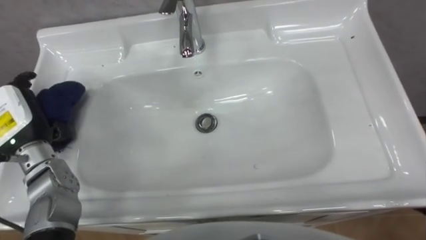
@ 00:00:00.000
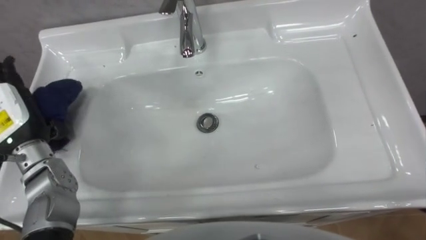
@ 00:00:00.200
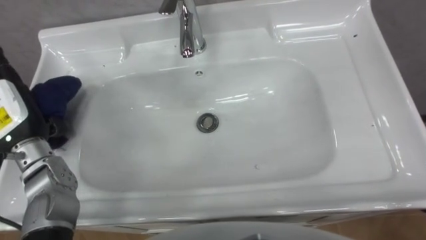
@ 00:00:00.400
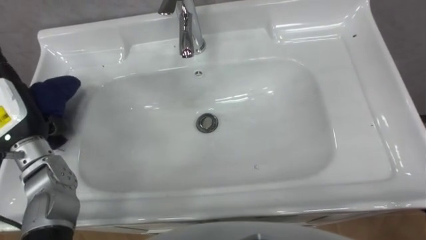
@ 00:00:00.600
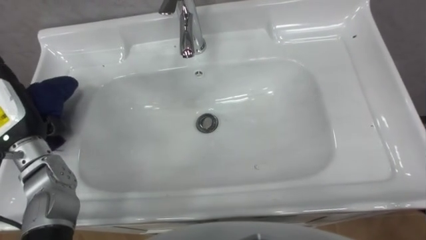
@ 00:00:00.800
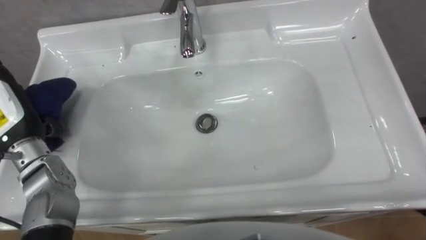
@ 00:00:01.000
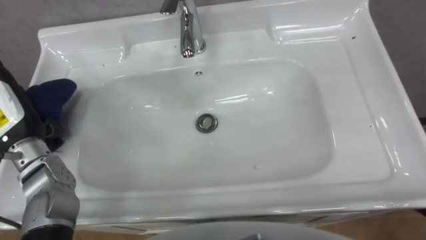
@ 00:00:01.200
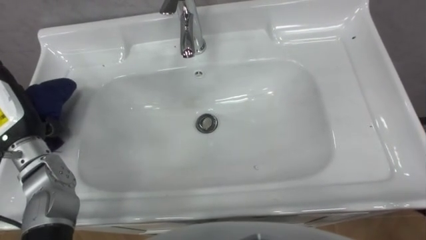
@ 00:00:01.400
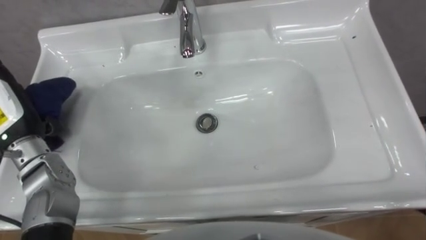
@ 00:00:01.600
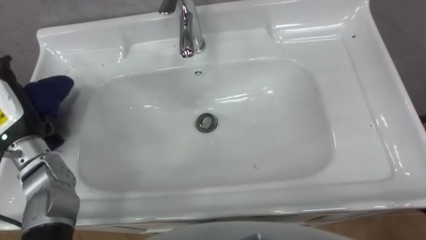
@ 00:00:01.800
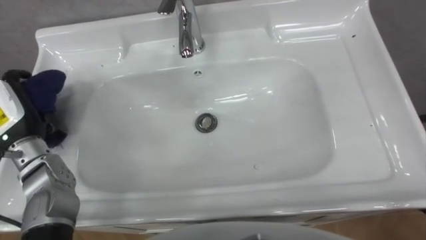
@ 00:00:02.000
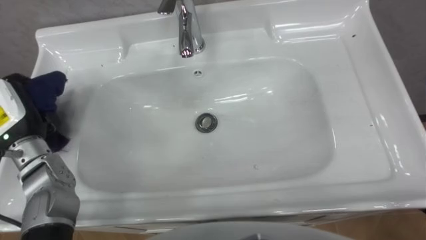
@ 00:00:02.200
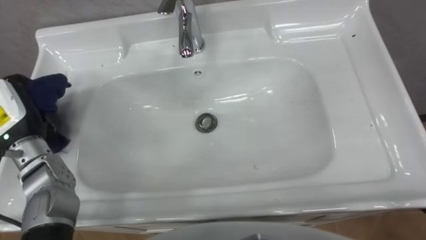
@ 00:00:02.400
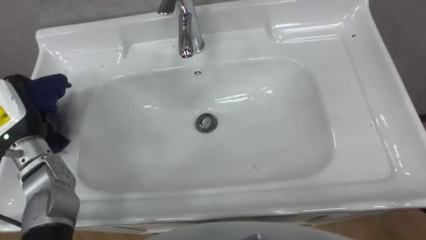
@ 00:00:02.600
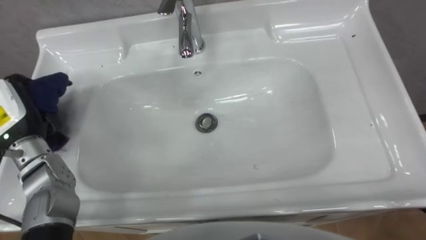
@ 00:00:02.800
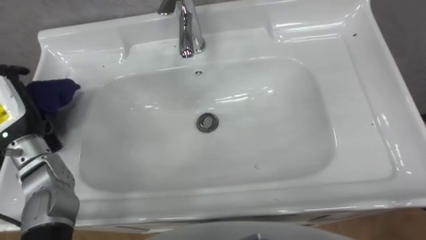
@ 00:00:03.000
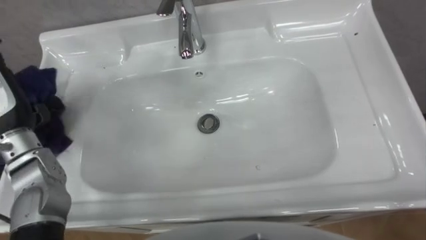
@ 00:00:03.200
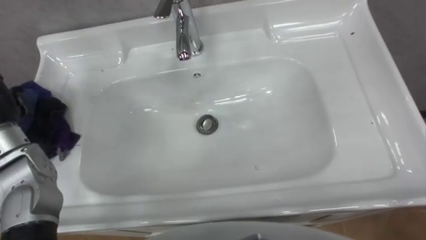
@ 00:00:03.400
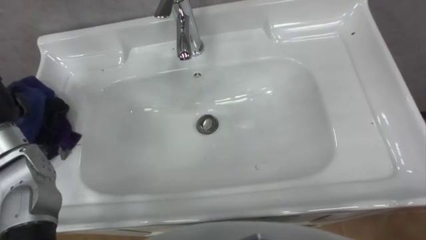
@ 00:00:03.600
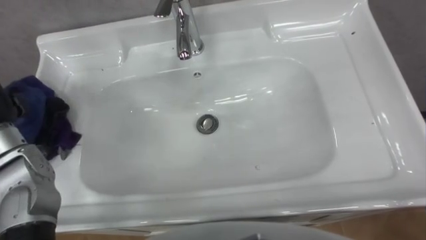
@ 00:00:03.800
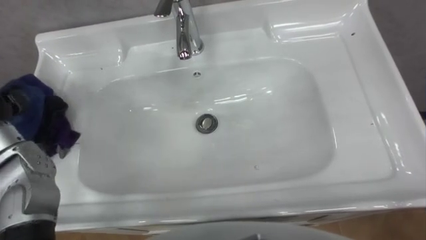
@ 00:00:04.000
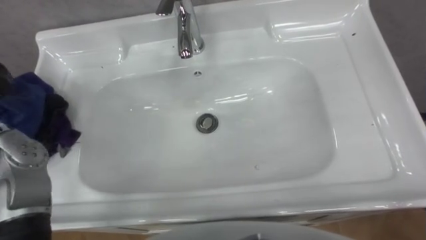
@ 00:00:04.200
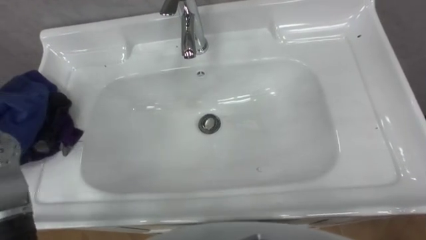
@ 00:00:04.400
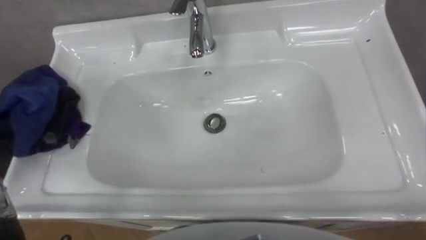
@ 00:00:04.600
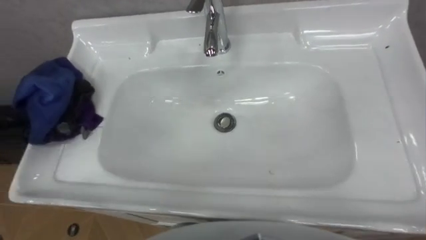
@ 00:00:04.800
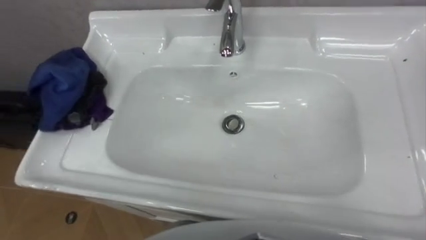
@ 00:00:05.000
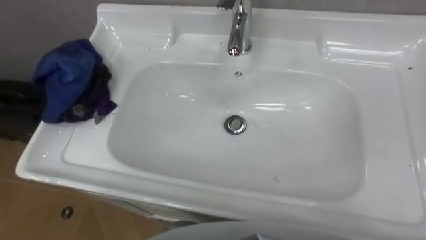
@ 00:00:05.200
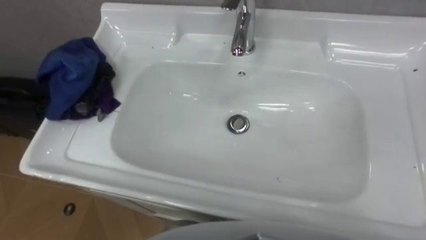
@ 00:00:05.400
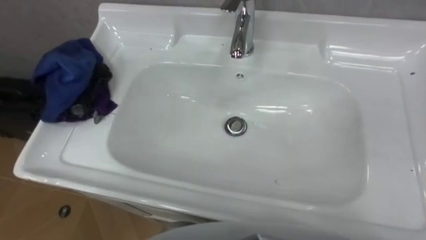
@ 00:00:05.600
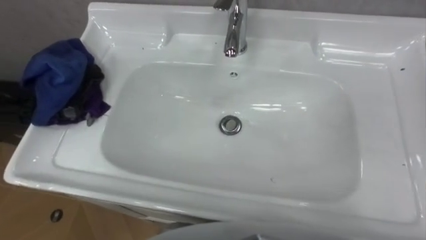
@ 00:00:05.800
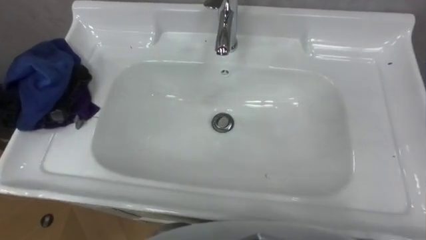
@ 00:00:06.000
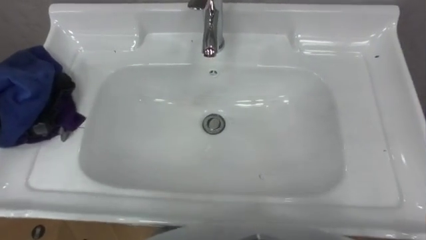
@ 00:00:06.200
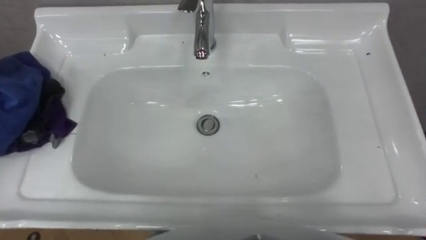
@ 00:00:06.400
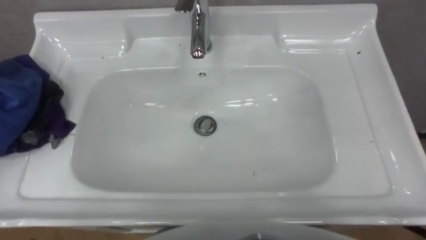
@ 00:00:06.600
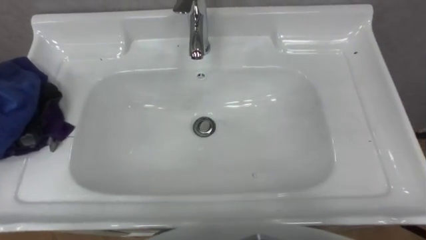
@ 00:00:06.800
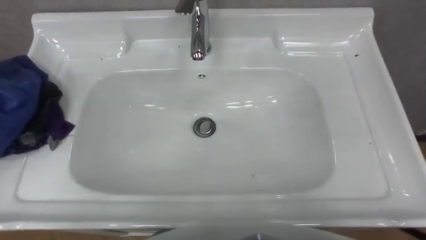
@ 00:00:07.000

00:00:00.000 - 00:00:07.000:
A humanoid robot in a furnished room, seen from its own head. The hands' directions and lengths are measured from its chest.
Task of the whole recording: Use the cloth on the right to wipe away the black stain in the sink.
00:00:01.400 - 00:00:02.800: The left hand closes its fingers.

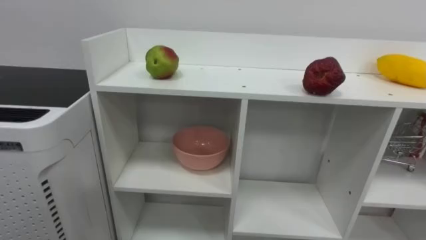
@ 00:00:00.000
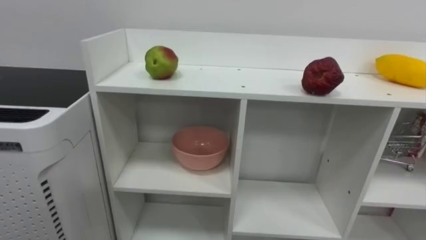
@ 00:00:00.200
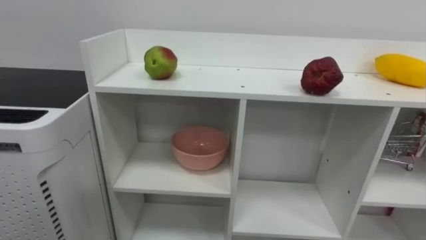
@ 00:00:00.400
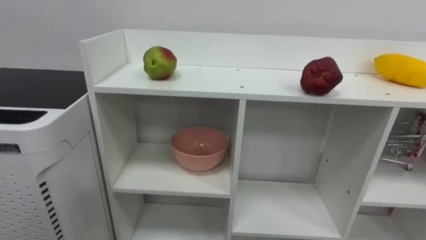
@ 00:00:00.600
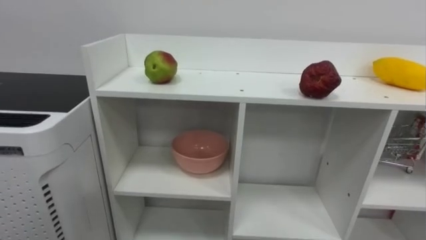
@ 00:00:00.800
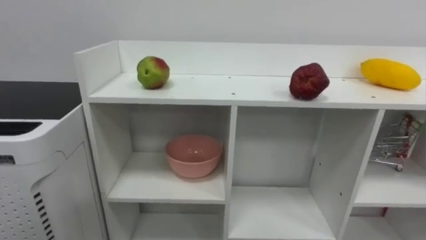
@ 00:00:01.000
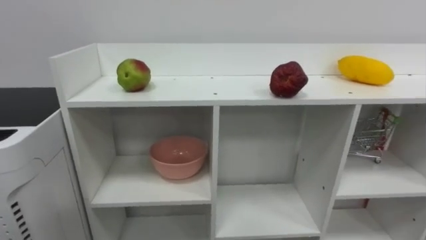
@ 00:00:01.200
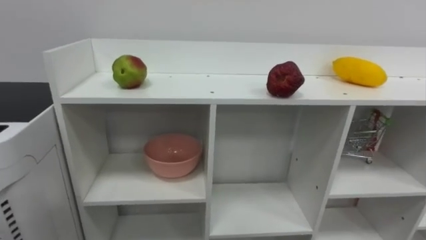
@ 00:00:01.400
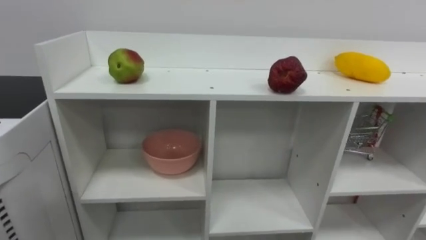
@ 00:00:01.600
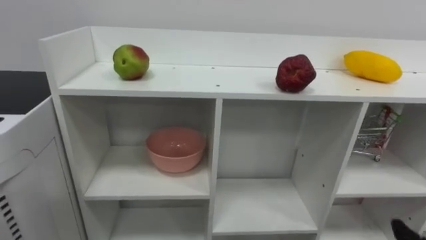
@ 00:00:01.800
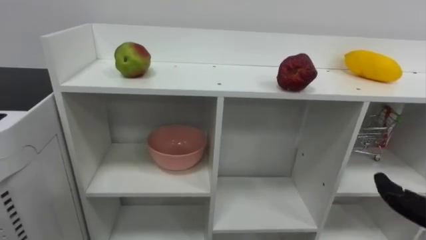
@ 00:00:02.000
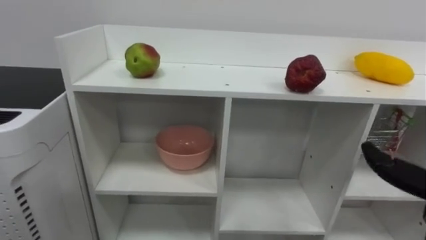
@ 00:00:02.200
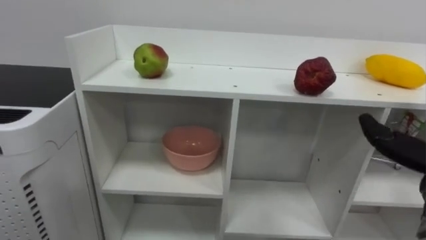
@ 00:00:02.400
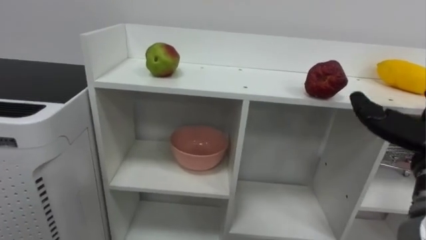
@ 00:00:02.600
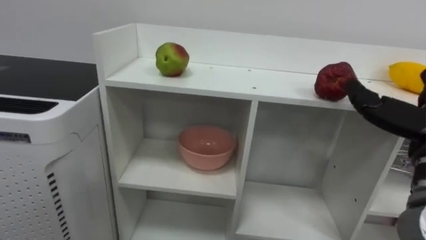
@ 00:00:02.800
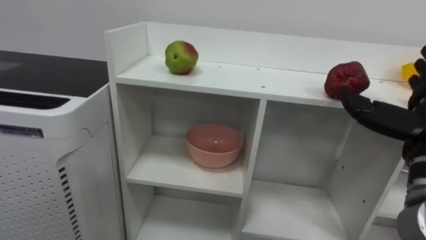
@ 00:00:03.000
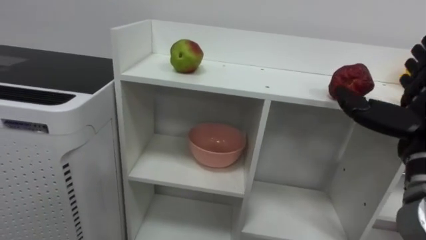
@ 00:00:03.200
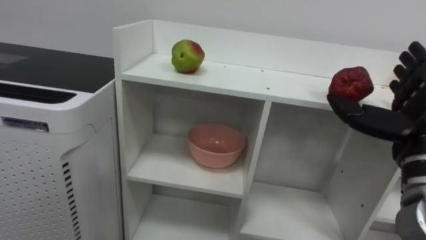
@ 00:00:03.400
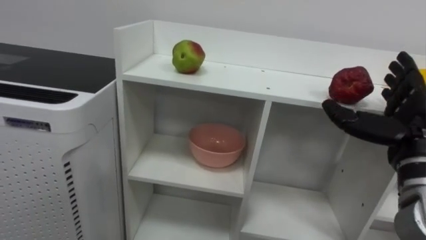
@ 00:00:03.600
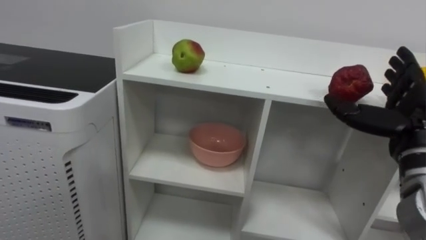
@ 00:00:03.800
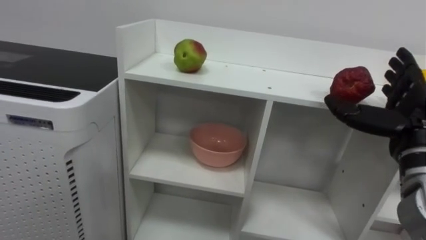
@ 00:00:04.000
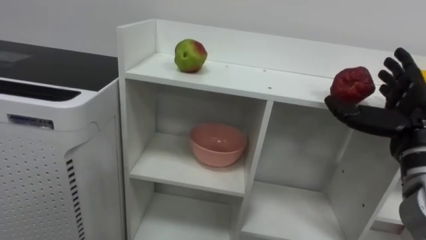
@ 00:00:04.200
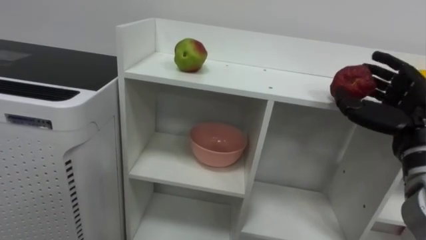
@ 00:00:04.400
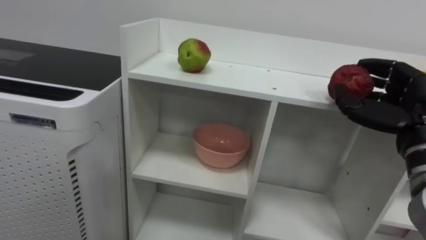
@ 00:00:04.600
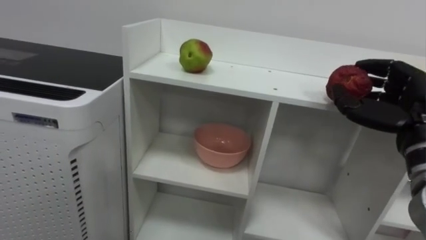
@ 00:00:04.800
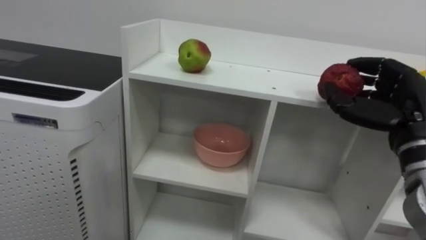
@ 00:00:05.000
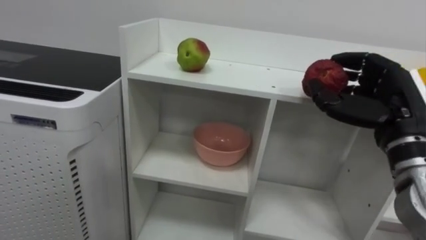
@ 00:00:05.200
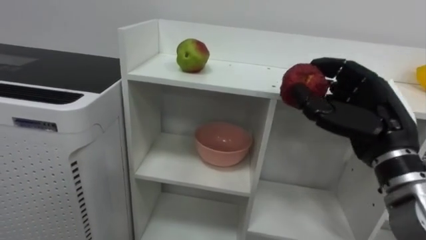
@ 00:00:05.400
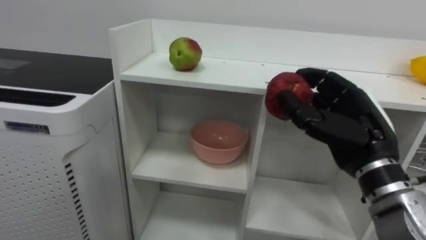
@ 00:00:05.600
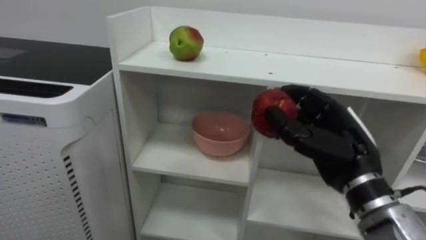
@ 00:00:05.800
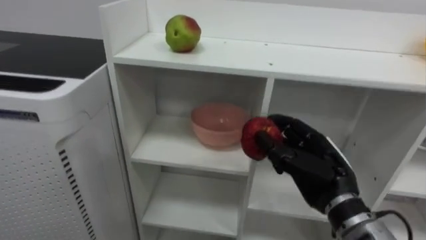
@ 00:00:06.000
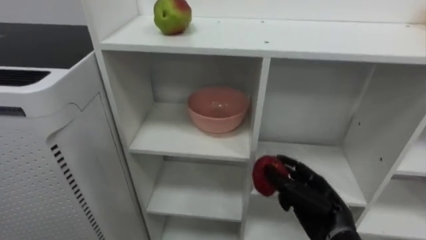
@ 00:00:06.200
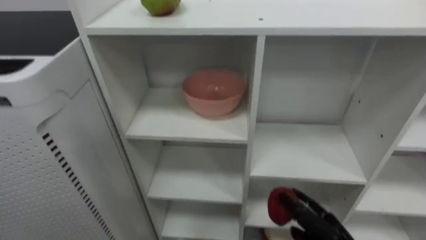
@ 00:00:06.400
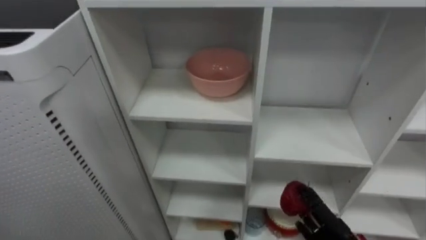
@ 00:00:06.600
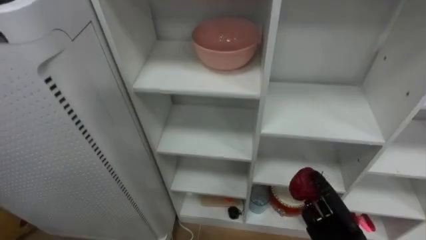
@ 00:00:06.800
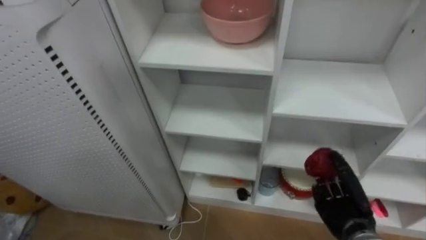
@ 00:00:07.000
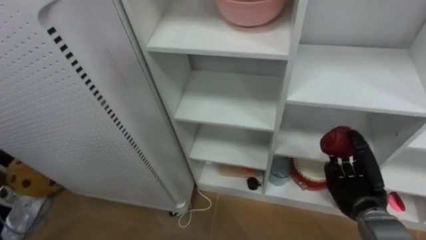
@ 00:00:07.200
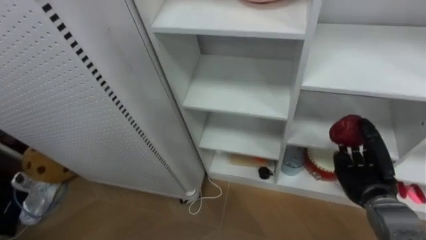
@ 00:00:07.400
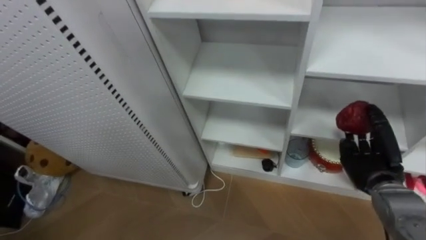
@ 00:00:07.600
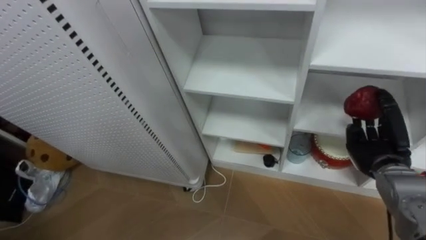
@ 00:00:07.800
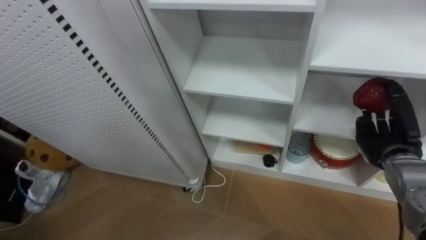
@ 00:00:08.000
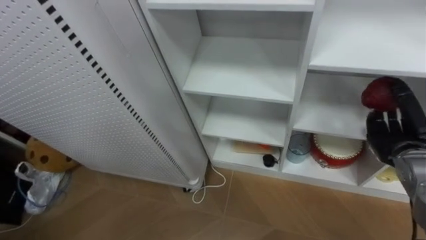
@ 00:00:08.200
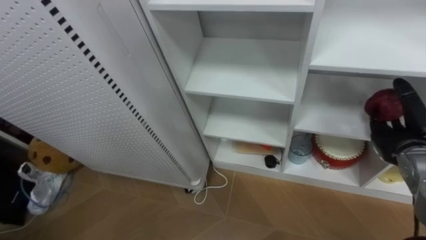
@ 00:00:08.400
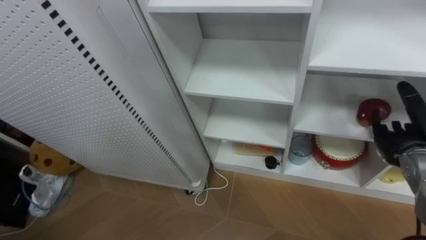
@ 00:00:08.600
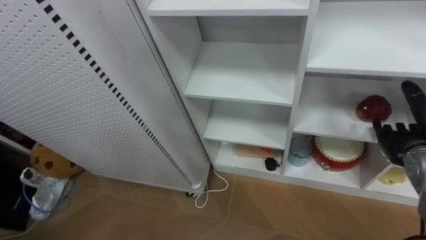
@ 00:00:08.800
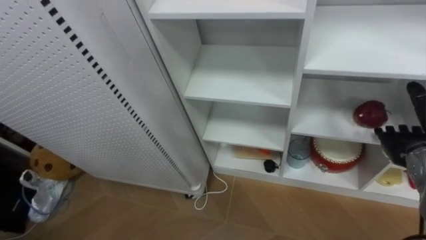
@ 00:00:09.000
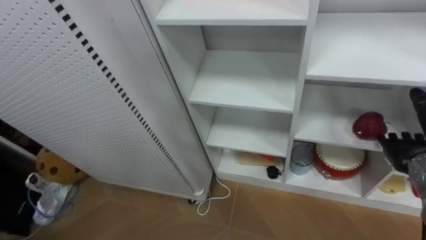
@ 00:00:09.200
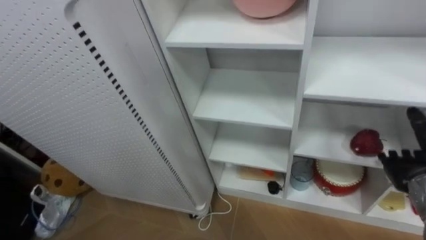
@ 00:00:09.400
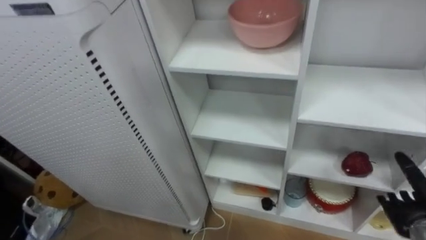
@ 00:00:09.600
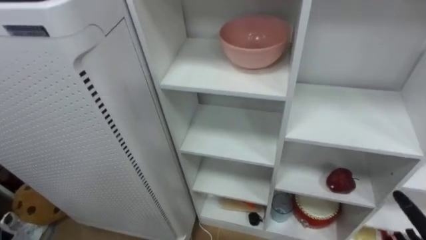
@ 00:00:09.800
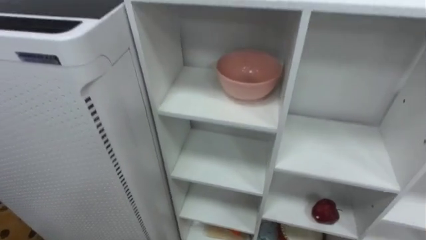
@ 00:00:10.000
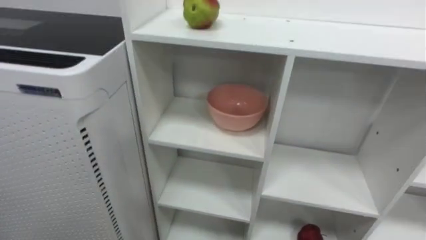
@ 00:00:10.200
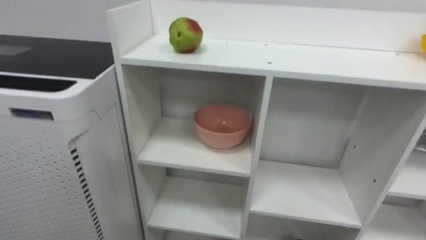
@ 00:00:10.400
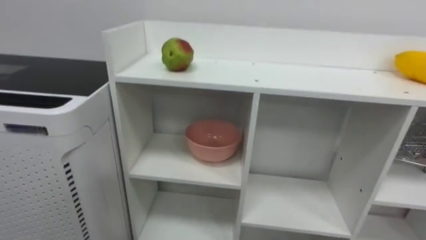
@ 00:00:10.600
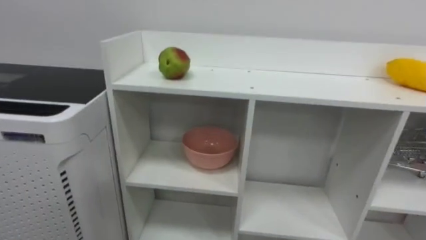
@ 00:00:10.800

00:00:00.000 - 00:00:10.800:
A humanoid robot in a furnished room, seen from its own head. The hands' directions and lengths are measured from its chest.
Task of the whole recording: Put the apple in the cell in the second column from the left and the second row from the top.
00:00:04.600 - 00:00:06.200: The right hand goes approximately 20 cm downward and to the left.
00:00:07.800 - 00:00:09.200: The right hand heads to the right, covering some 5 cm, and opens.
